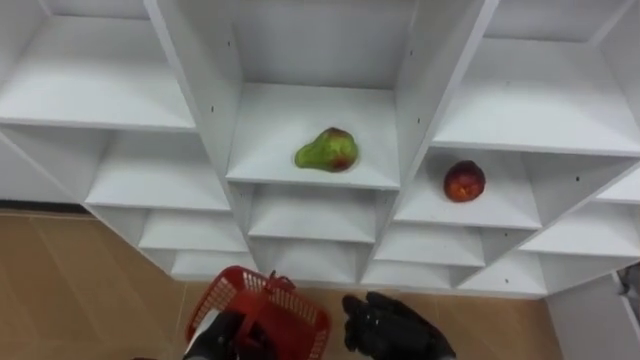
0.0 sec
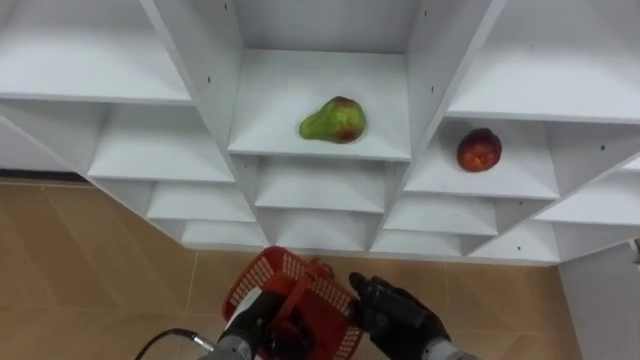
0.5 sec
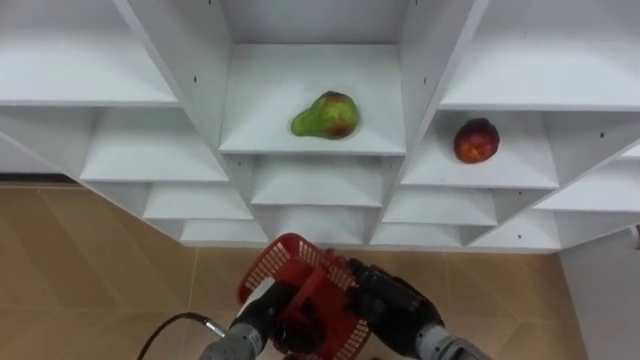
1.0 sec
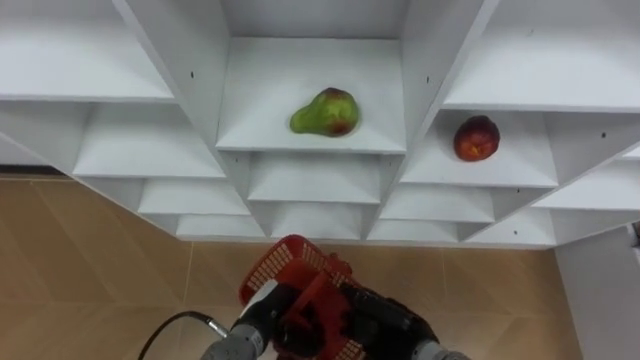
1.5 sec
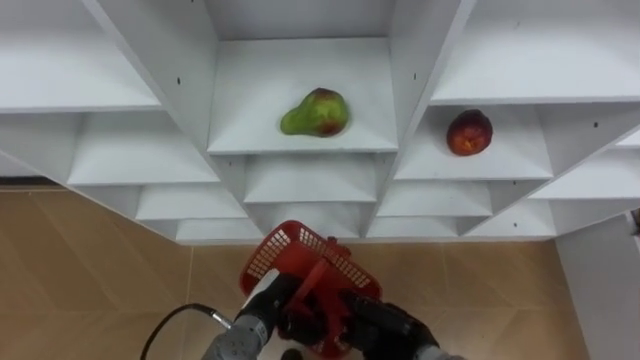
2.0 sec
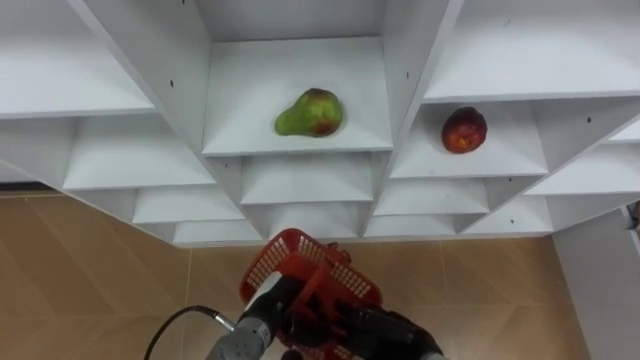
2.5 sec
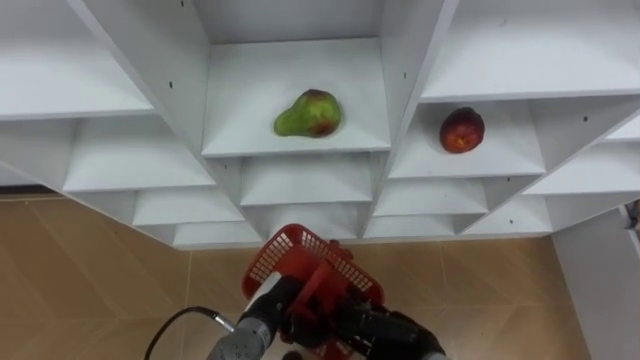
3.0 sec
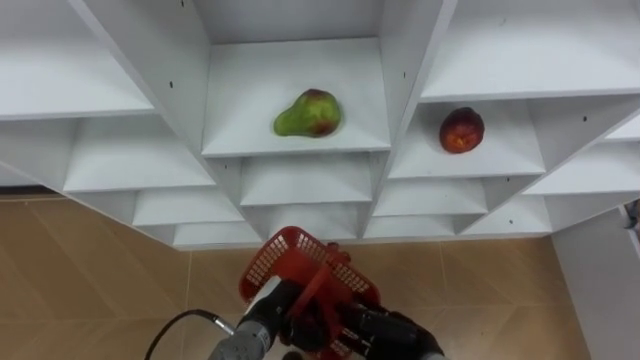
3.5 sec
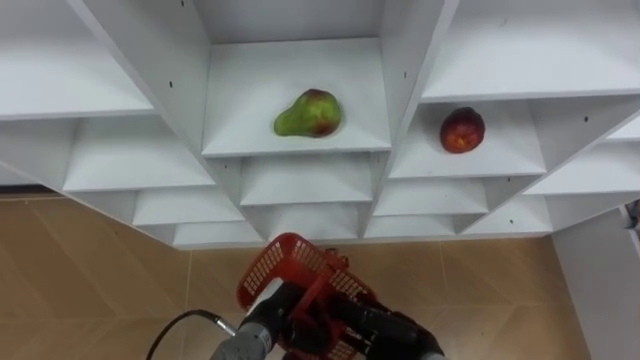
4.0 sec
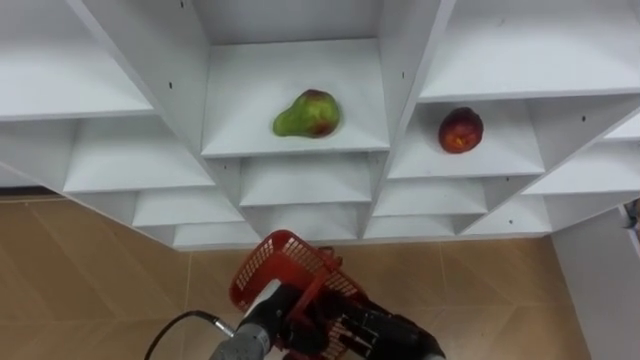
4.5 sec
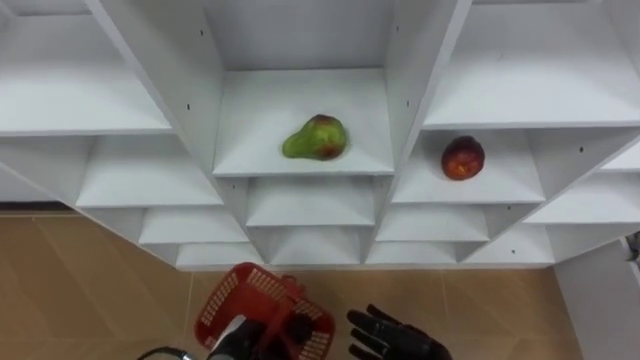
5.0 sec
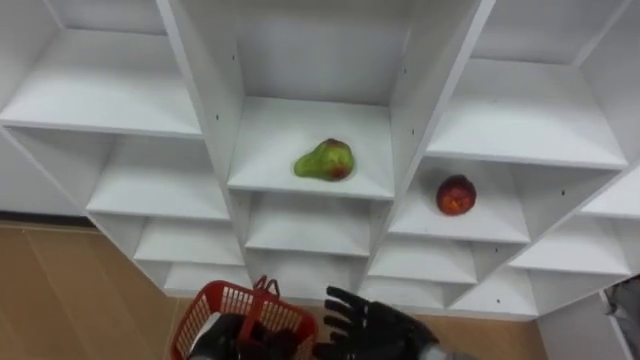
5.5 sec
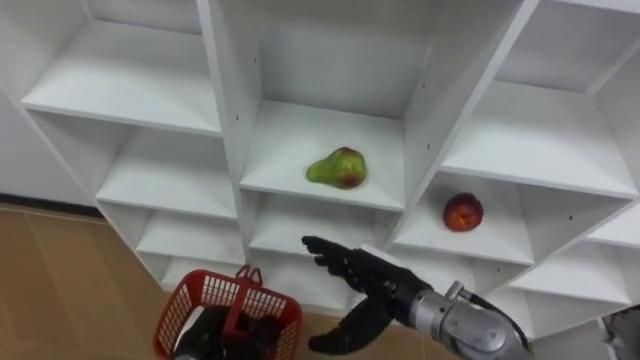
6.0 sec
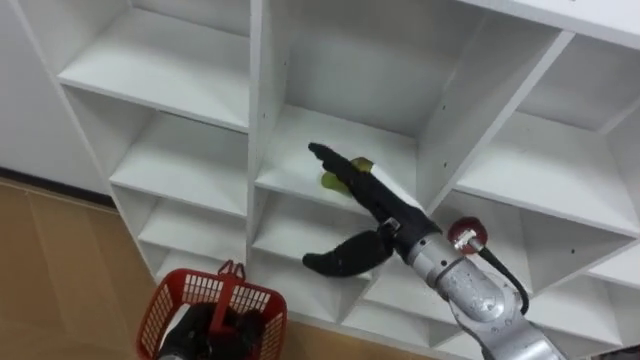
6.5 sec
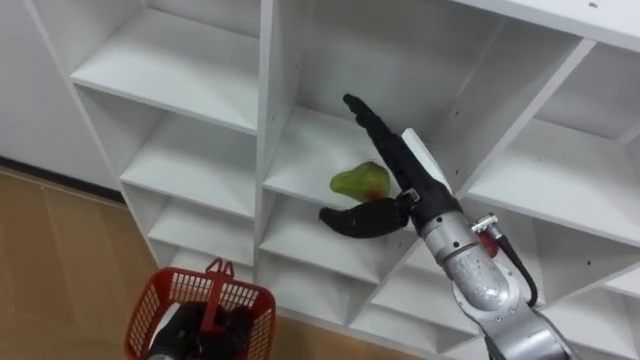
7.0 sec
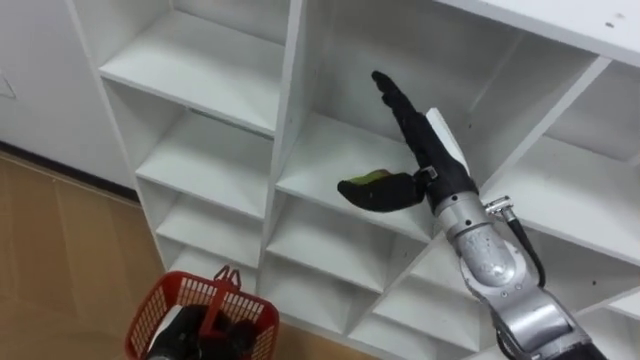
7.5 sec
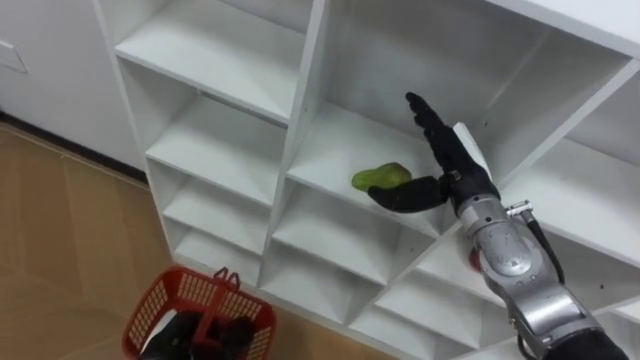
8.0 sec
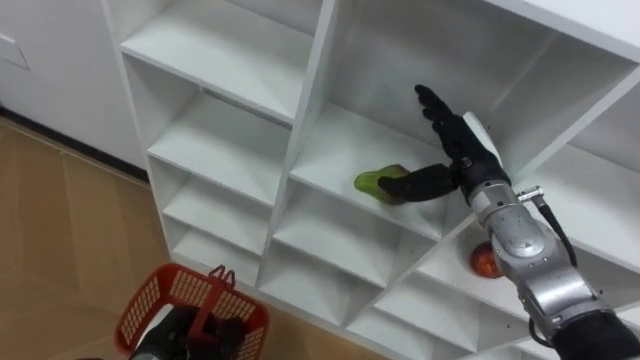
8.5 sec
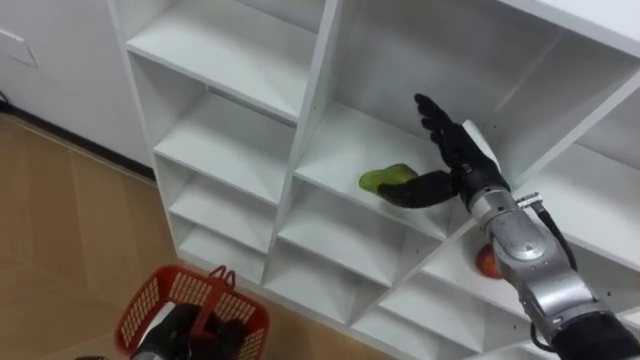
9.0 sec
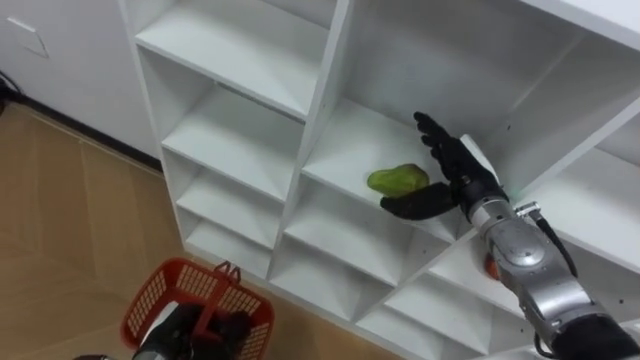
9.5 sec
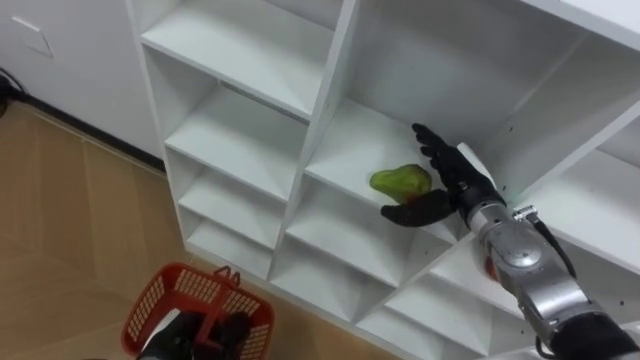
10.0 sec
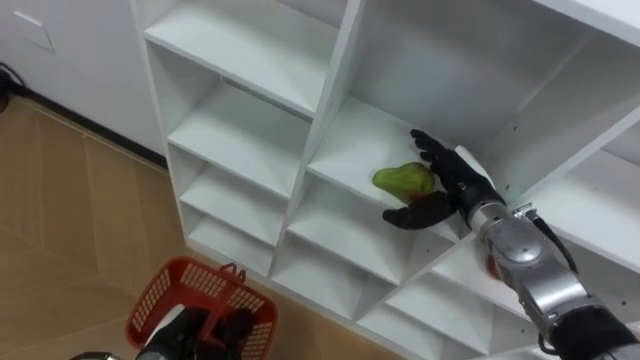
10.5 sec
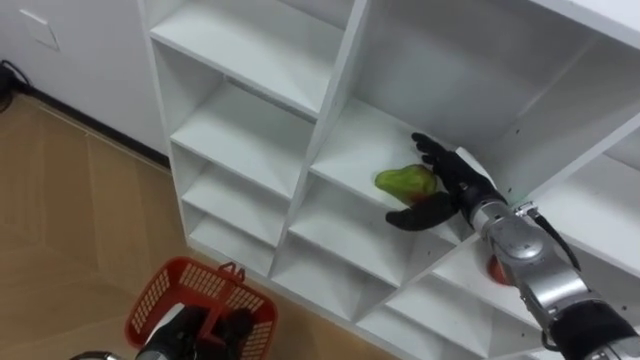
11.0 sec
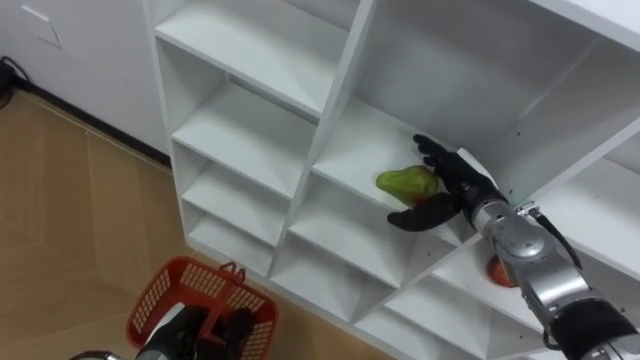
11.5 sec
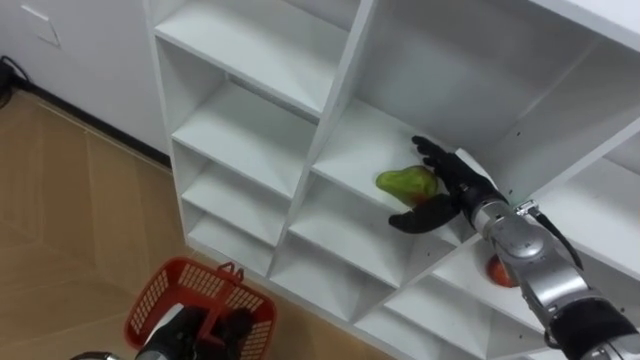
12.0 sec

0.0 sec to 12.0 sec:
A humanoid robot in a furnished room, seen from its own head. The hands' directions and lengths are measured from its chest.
Task of the whole recording: Hold the basket and collect the fruits from 3 different cells of the closet into it.
0.0 sec to 2.0 sec: The left hand heads to the right and forward, covering approximately 10 cm.
2.0 sec to 4.0 sec: The right hand opens its fingers.
4.0 sec to 6.0 sec: The right hand is displaced upward by roughly 10 cm; the left hand is displaced to the left by about 10 cm.
6.0 sec to 8.0 sec: The right hand heads forward, to the right and upward, covering approximately 15 cm.
10.0 sec to 12.0 sec: There are only small adjustments of the hands.

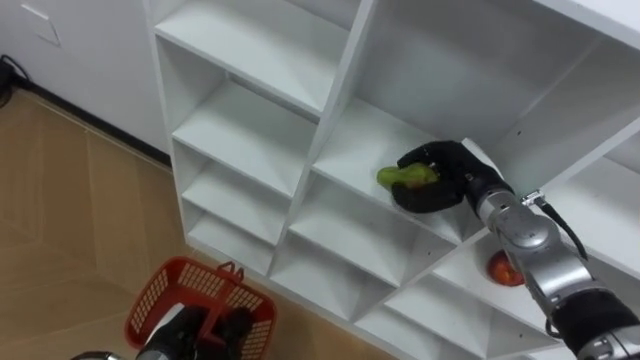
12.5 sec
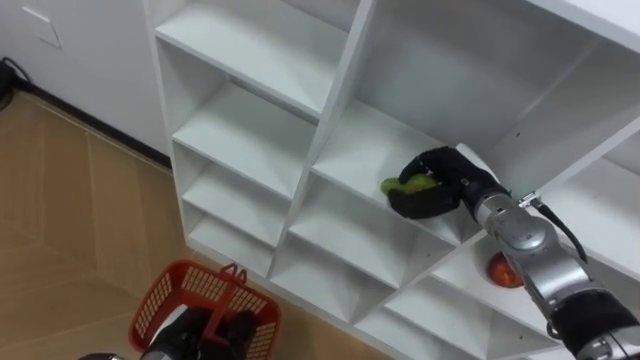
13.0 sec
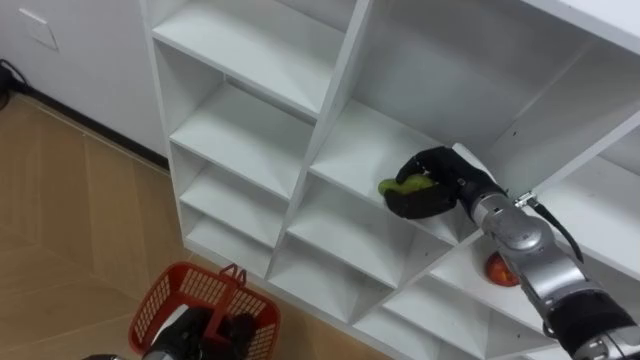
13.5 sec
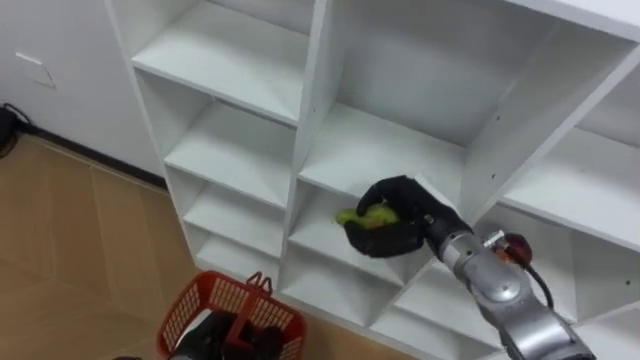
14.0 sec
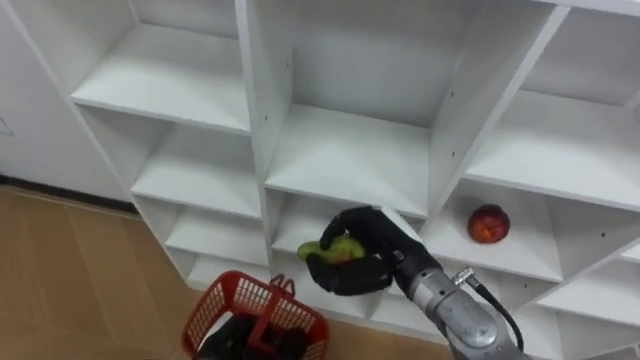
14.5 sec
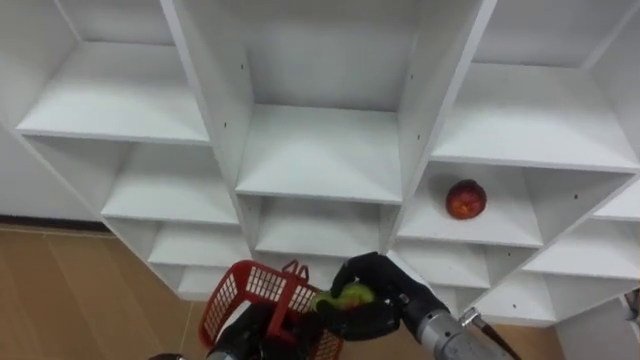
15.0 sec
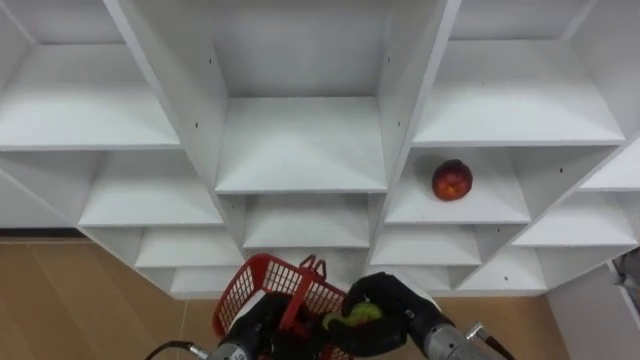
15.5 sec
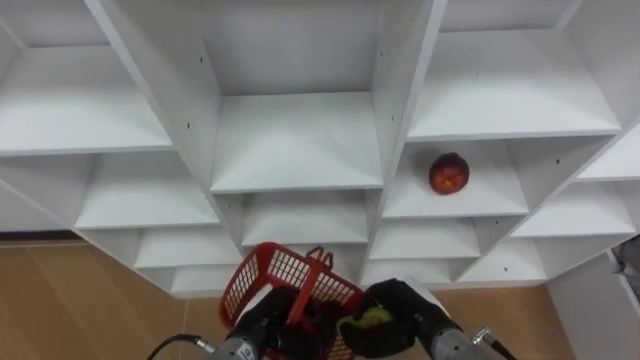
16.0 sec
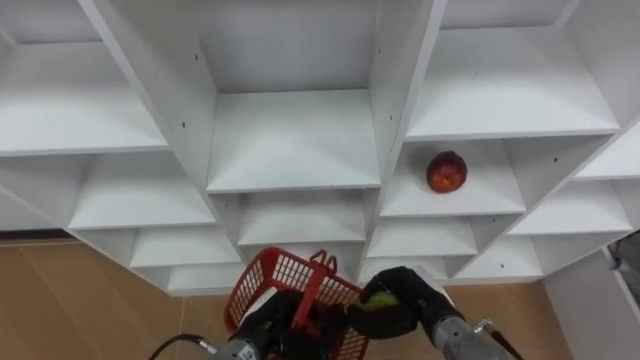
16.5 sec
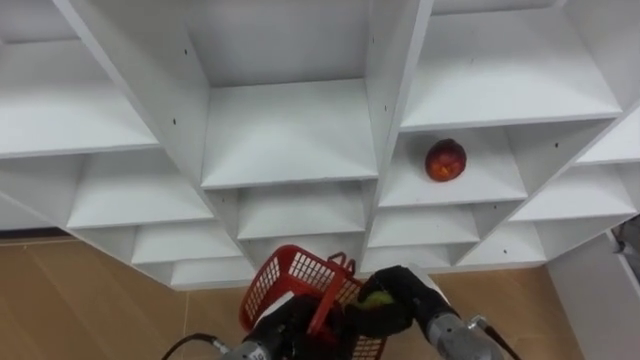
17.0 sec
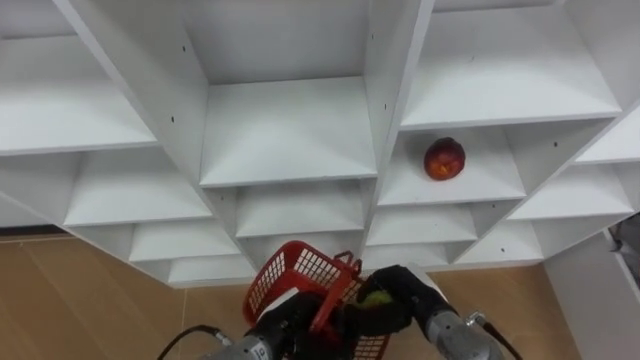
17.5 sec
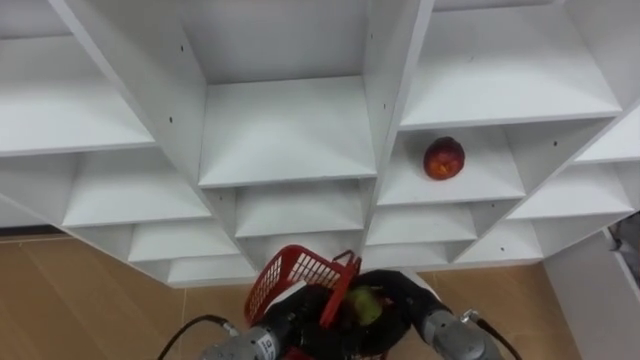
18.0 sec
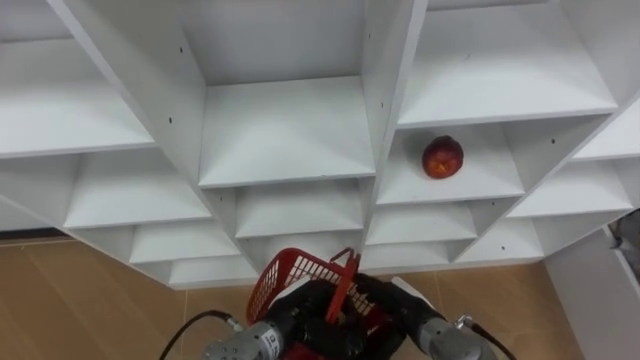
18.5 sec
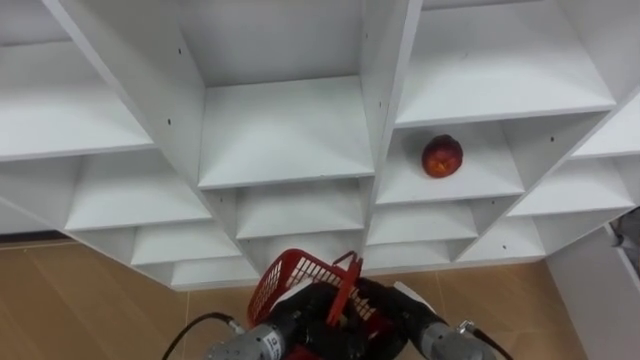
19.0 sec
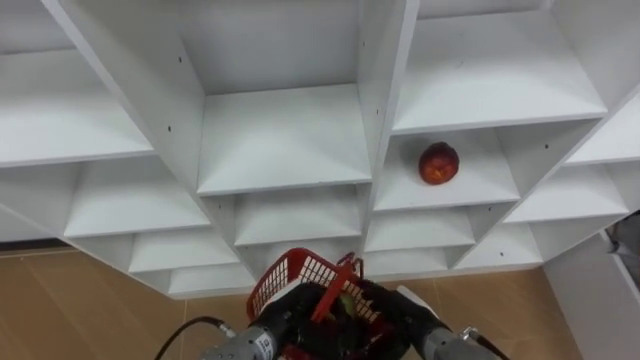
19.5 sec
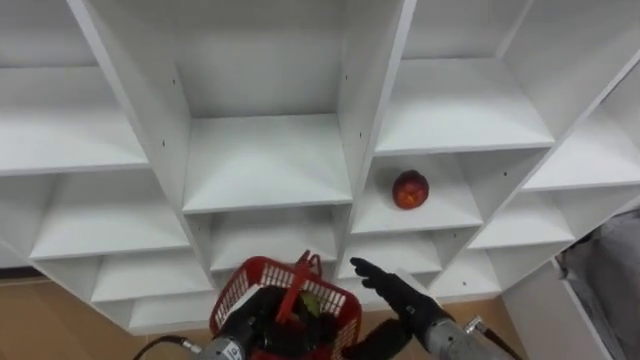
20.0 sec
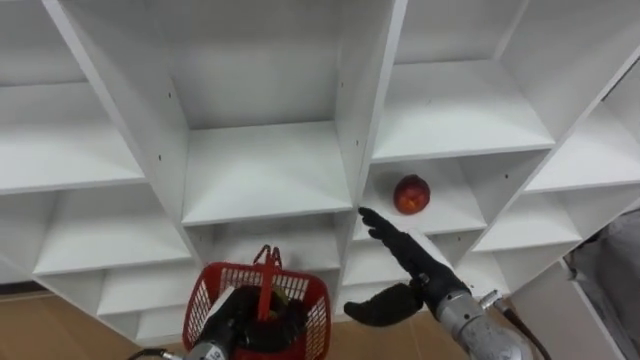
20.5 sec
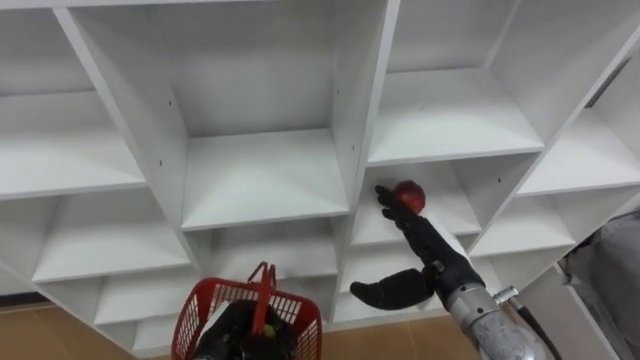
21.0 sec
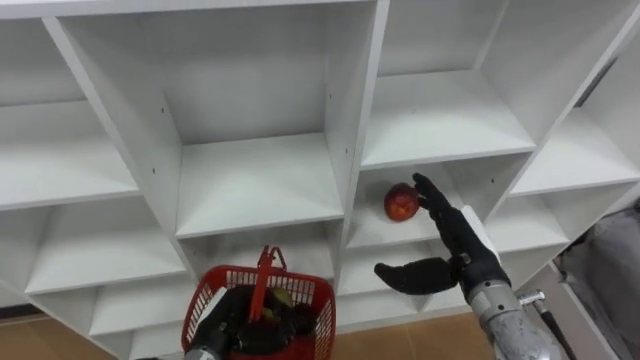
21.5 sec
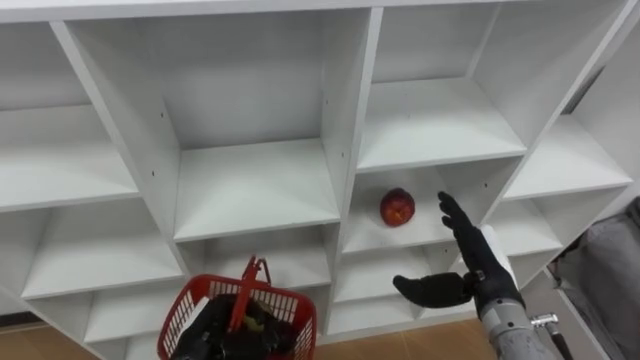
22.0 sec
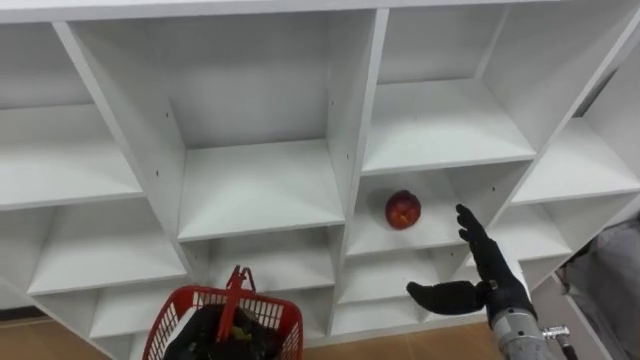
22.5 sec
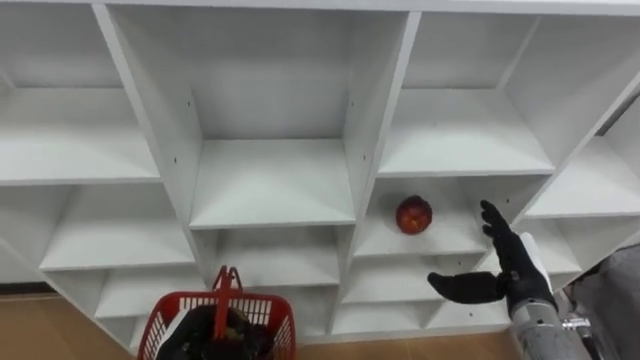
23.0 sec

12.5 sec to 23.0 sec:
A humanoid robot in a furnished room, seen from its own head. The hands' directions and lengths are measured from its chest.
Task of the whole recording: Hold the basket and collect the fruits from 3 different cells of the closet into it.
12.5 sec to 14.5 sec: The right hand shifts roughly 15 cm to the left and backward. Meanwhile the left hand is displaced to the right by about 5 cm.
14.5 sec to 16.5 sec: The right hand travels downward by approximately 10 cm. The left hand moves to the right, roughly 5 cm.
16.5 sec to 19.0 sec: The left hand shifts by some 5 cm. The right hand opens.
19.0 sec to 21.0 sec: The right hand is displaced upward by approximately 15 cm; the left hand travels to the left by some 10 cm.
21.0 sec to 23.0 sec: The left hand heads to the left, covering about 5 cm. The right hand is displaced to the right by some 10 cm.
